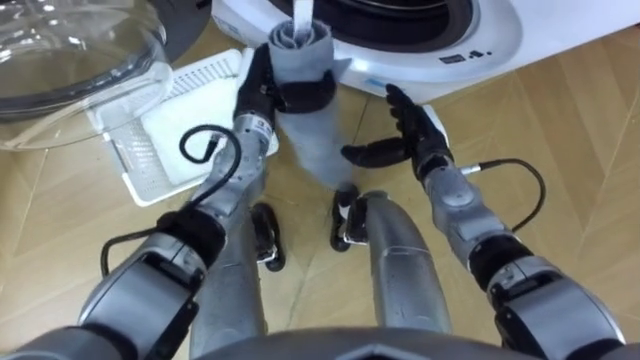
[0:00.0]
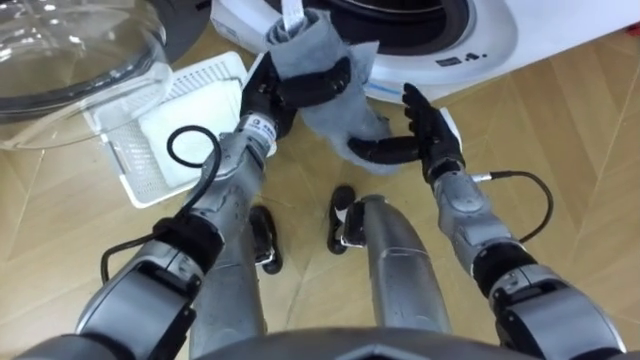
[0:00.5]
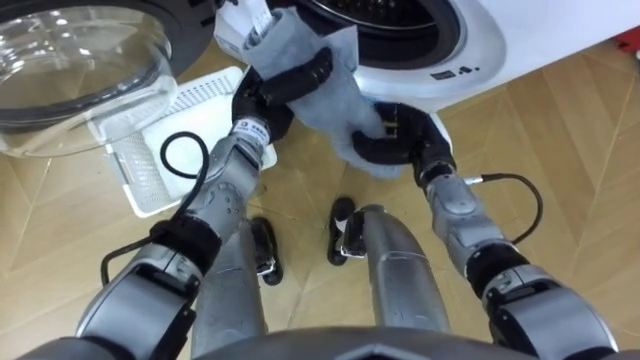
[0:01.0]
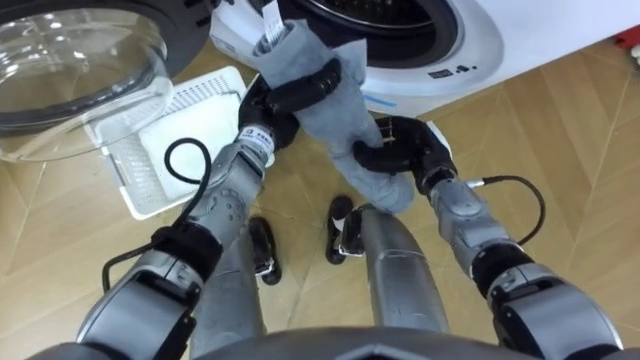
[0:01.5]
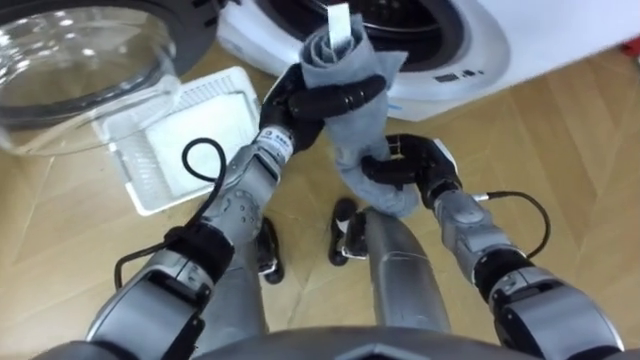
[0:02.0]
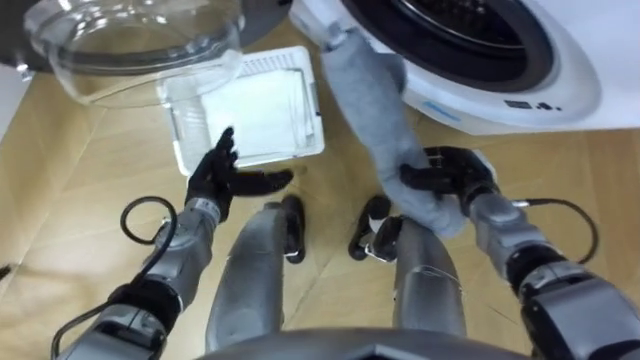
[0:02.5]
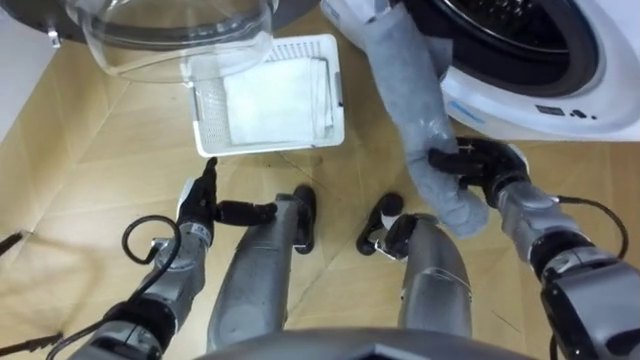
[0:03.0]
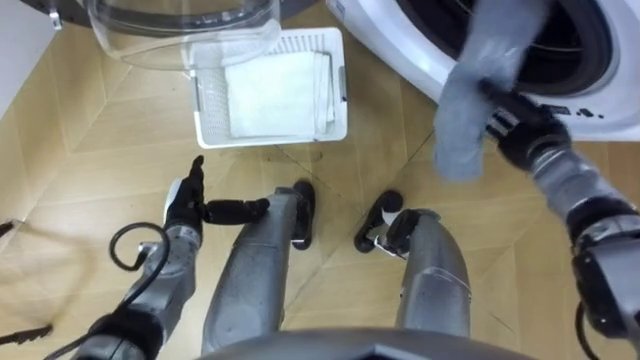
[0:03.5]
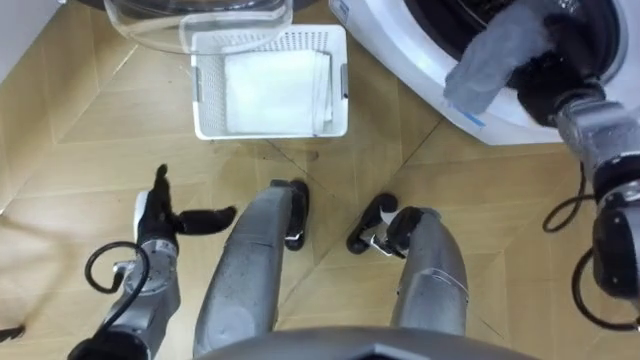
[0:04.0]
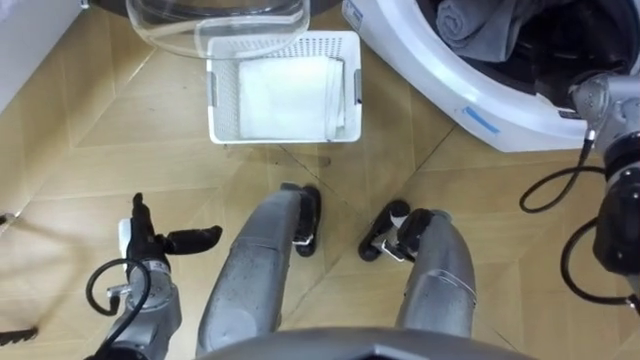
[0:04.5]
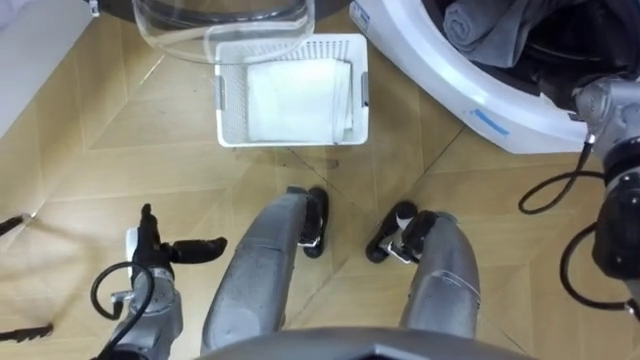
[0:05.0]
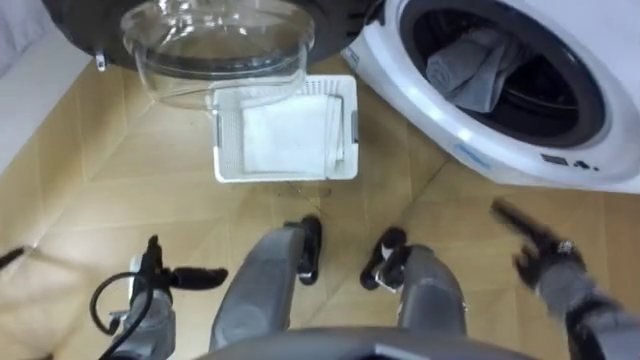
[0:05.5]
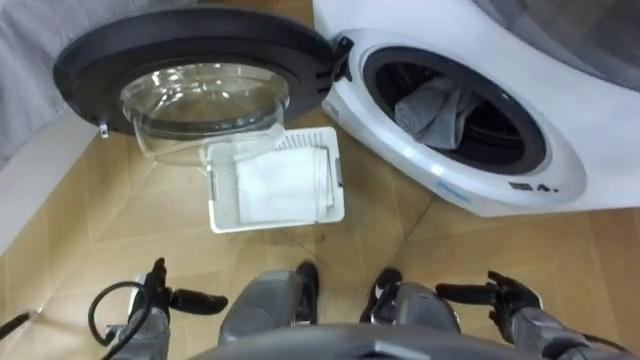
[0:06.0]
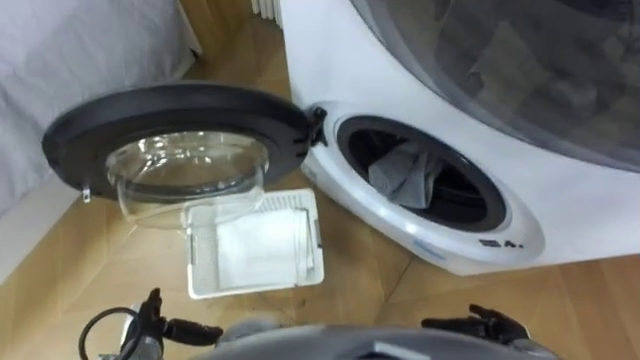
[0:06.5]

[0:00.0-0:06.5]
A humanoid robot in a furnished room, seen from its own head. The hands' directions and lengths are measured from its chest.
Task of the whole recording: Take the towel from the basket and put it into the washing machine.
0:00.0 to 0:02.0: The right hand moves about 5 cm, and closes its fingers; the left hand opens.
0:02.0 to 0:04.5: The right hand is displaced to the right, upward and forward by about 25 cm, and opens its fingers; the left hand goes some 30 cm to the left, backward and downward.
0:04.5 to 0:06.5: The right hand shifts roughly 40 cm backward and downward; the left hand is displaced backward and downward by approximately 15 cm.

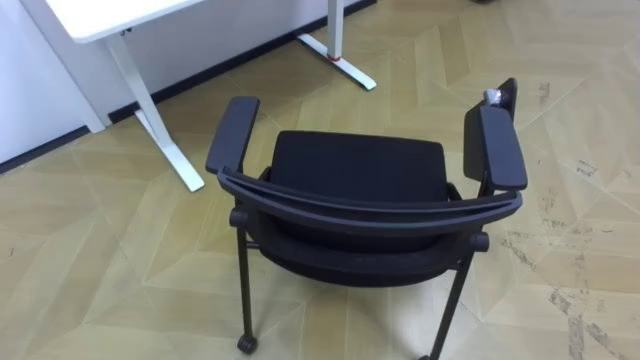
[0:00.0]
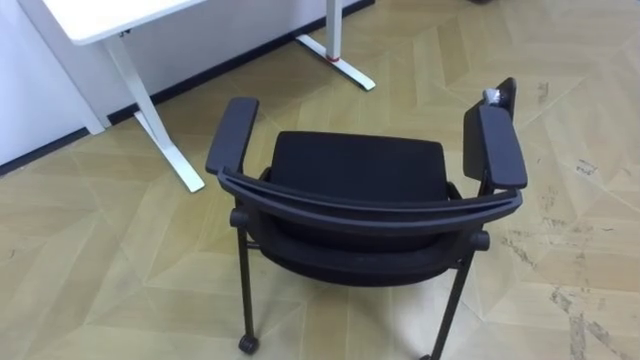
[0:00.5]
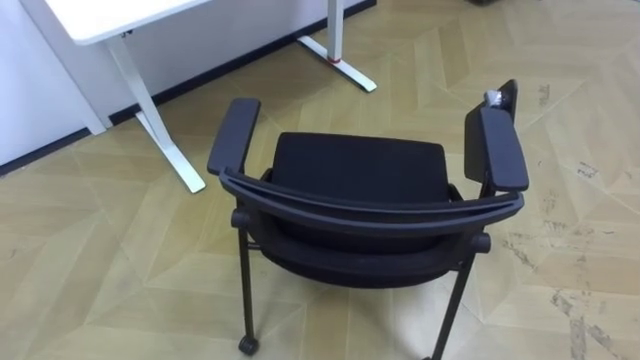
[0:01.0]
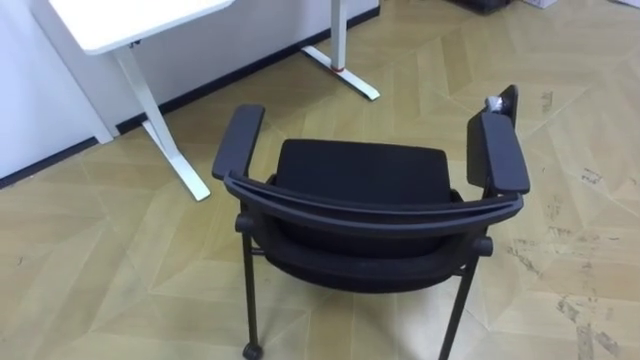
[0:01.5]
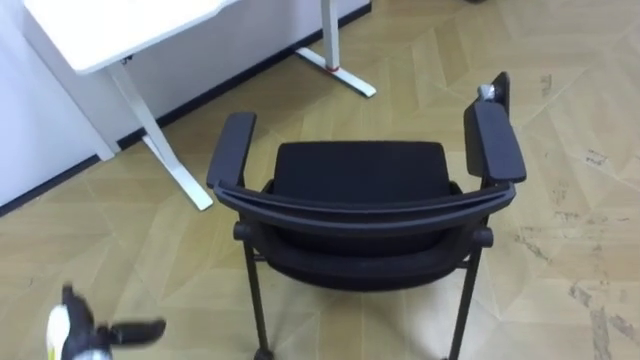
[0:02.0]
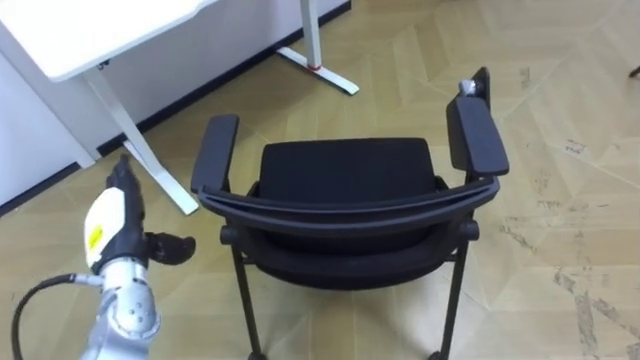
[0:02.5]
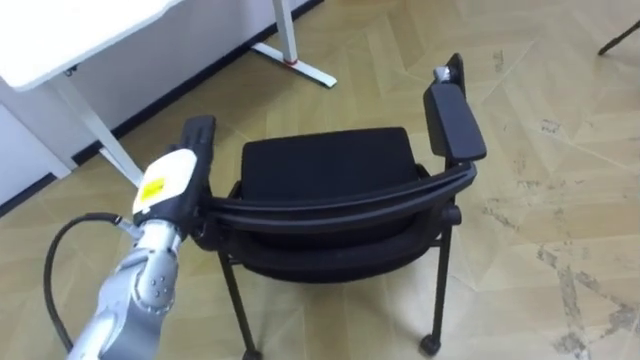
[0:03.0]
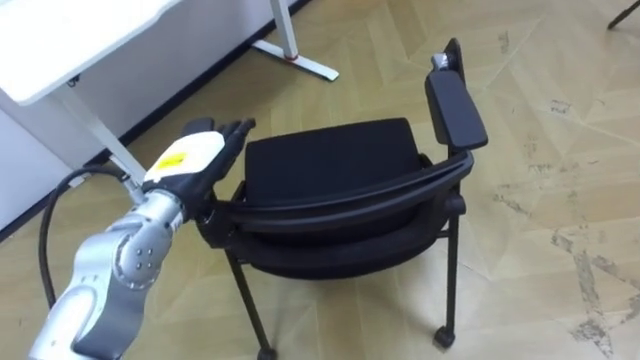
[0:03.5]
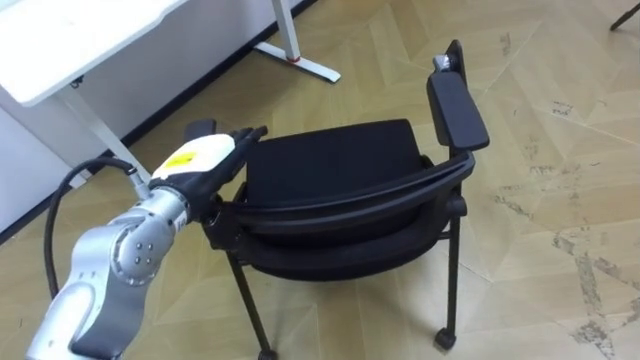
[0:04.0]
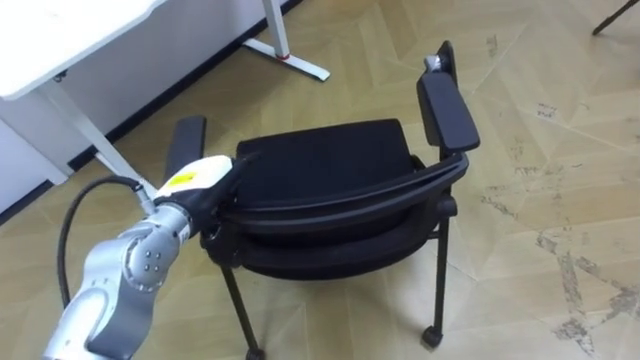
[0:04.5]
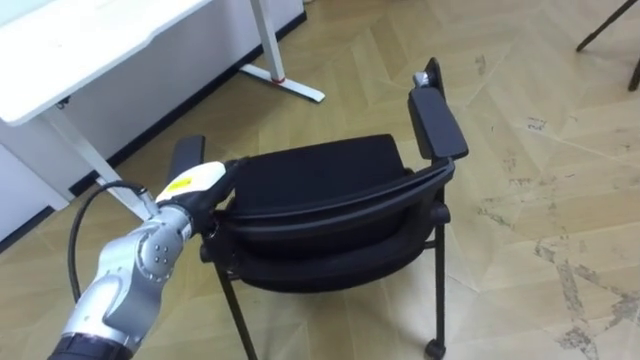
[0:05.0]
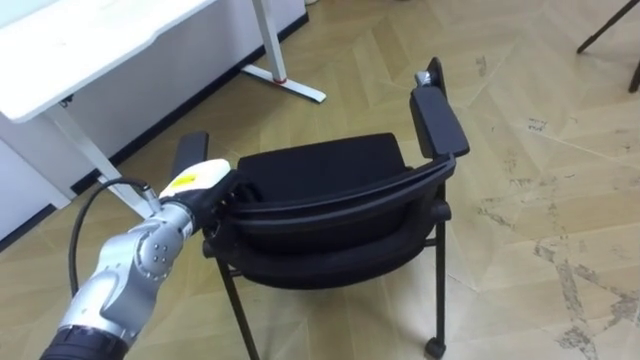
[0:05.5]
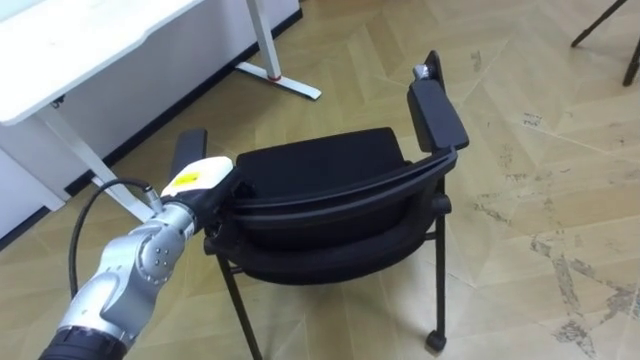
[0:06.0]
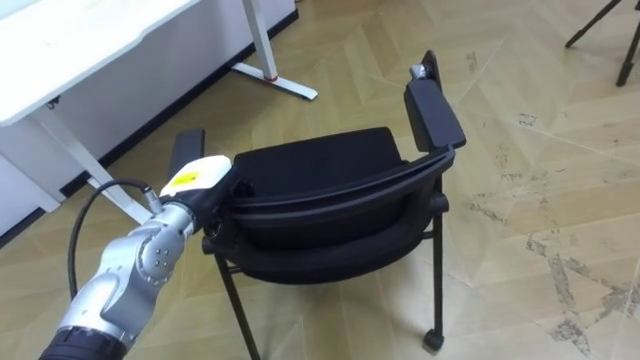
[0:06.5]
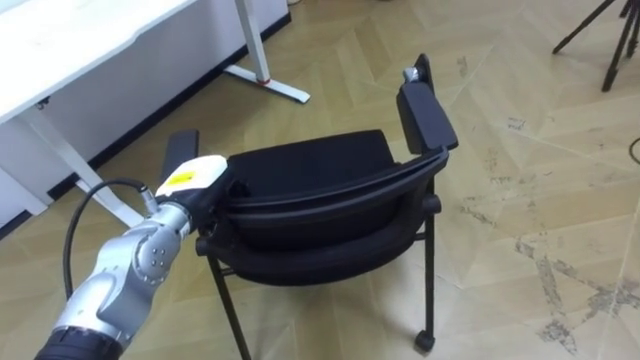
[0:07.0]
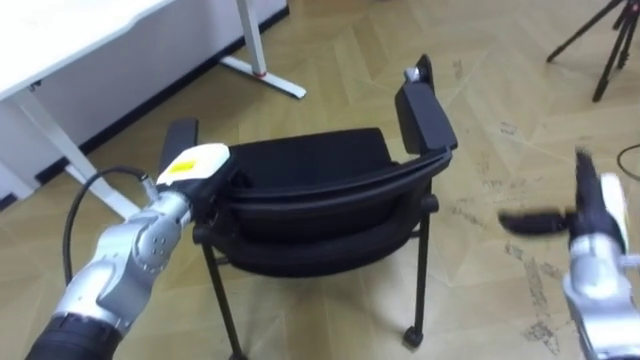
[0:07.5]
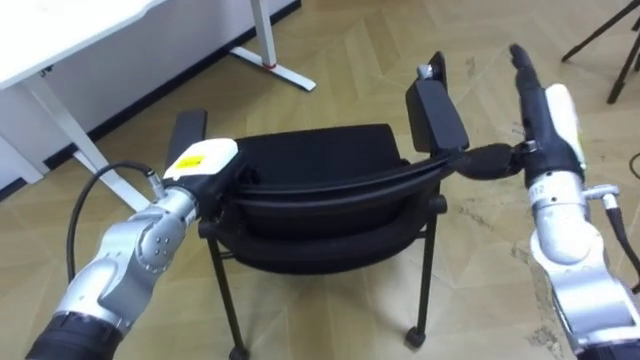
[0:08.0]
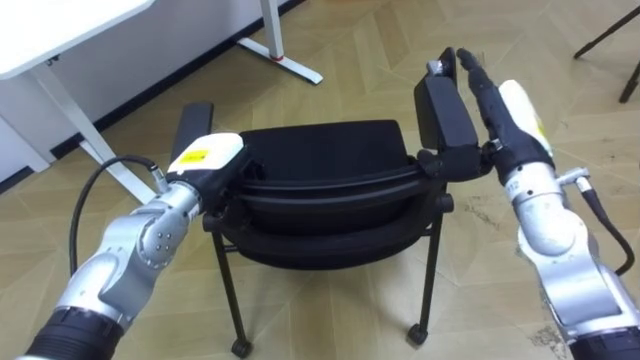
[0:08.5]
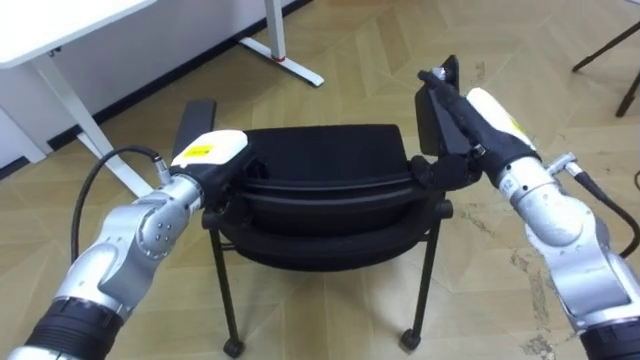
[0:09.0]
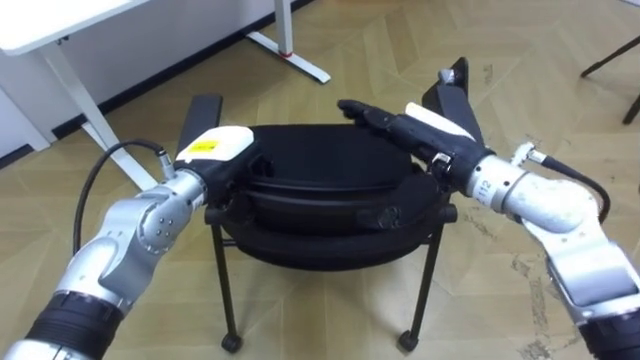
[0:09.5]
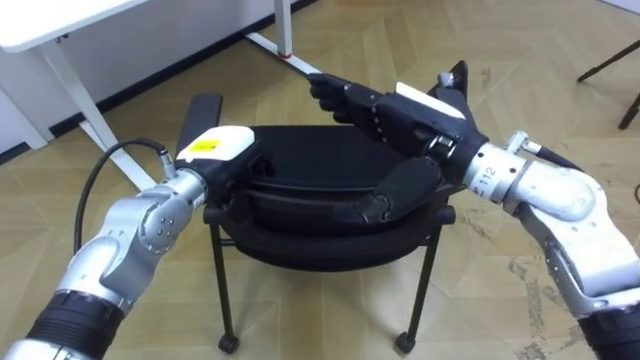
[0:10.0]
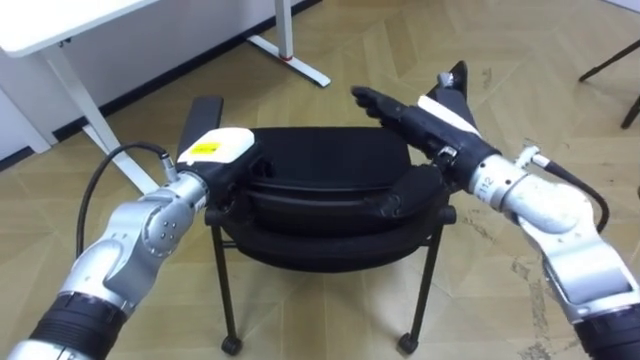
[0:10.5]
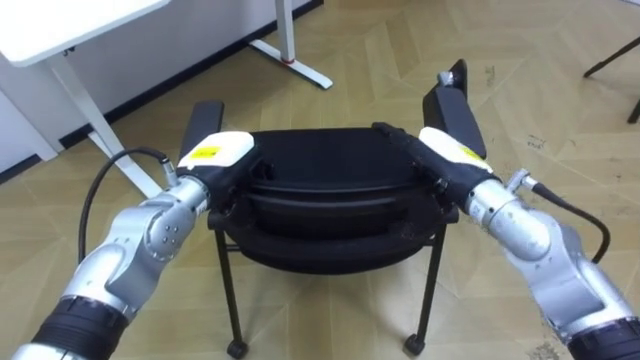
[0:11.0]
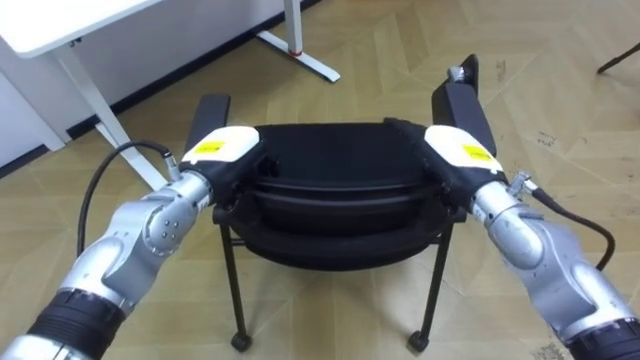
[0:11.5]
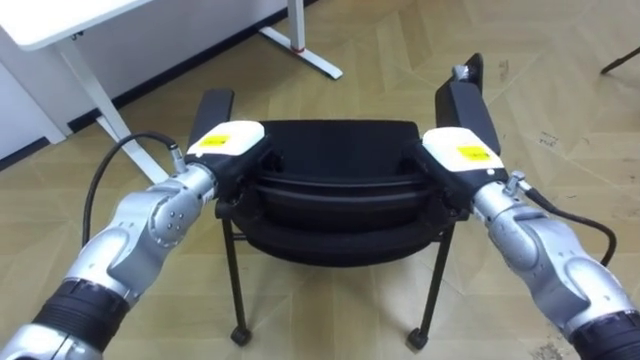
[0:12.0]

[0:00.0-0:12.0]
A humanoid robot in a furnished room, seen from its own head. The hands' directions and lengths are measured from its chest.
Task of the whole recording: Push the chair under the table.
0:02.0 to 0:04.0: The left hand is displaced upward, to the right and forward by about 30 cm.
0:04.0 to 0:06.0: The left hand shifts about 5 cm downward, and closes its fingers.
0:08.0 to 0:10.0: The right hand is displaced to the left by some 15 cm.
0:10.0 to 0:12.0: The right hand heads downward and to the right, covering some 10 cm, and closes up.

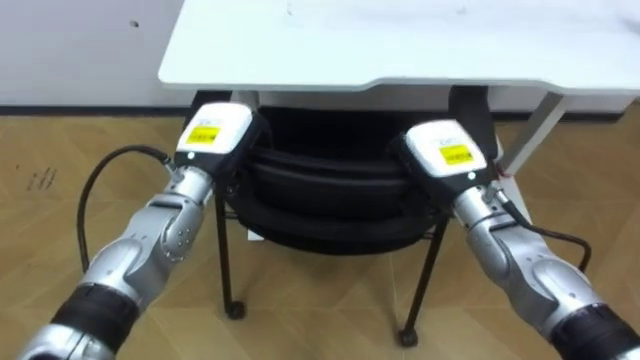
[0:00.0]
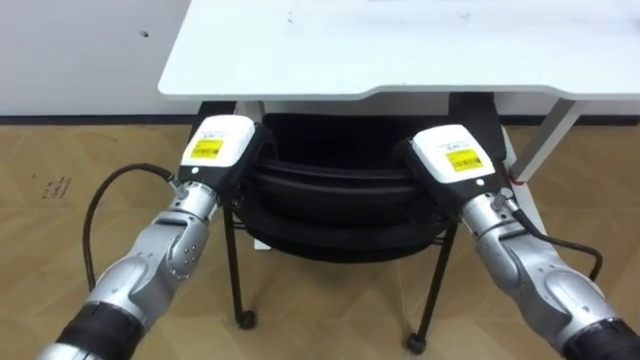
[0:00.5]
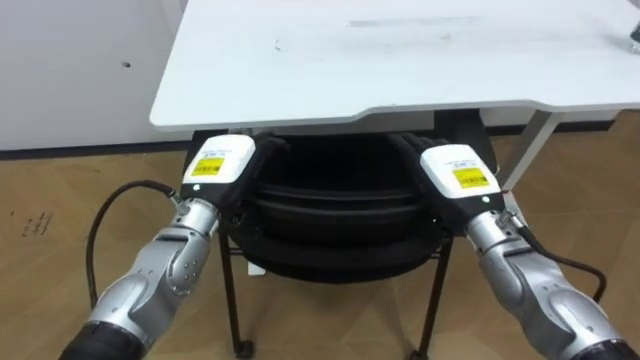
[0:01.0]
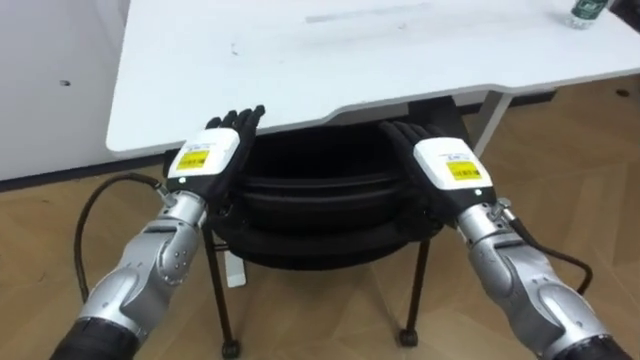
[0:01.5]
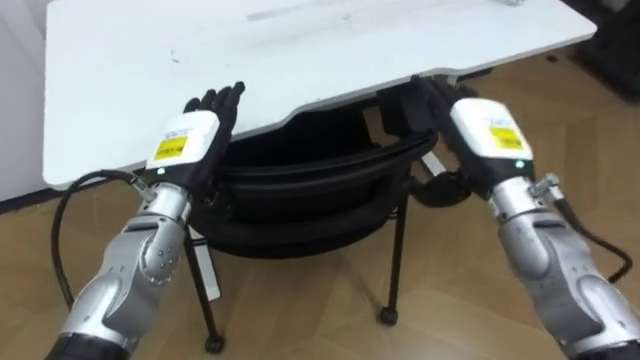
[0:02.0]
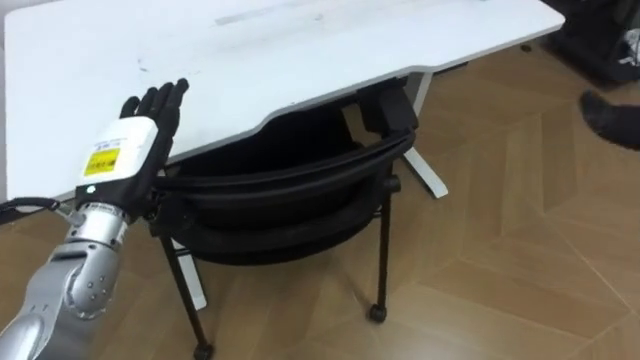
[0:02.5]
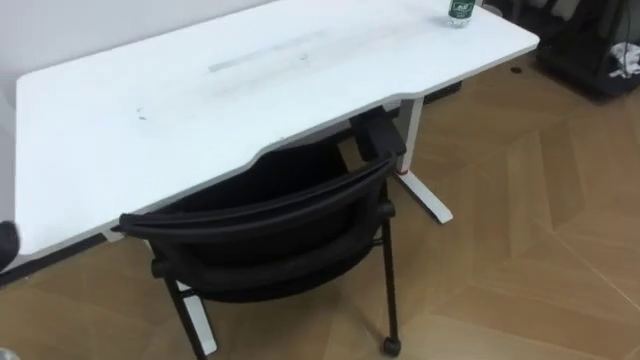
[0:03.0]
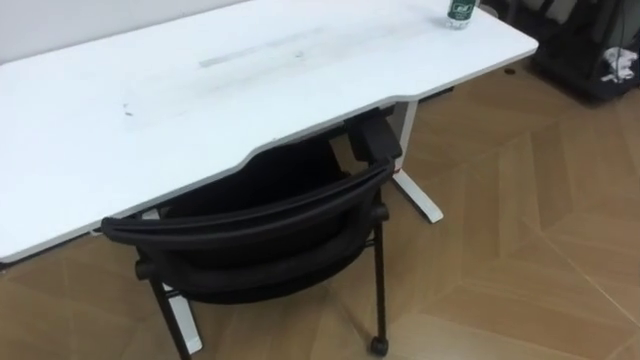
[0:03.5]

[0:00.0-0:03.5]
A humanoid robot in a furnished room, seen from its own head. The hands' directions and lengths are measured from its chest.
Task of the whole recording: Push the chair under the table.
0:00.0 to 0:02.0: The robot rotates about 25 degrees to its right. The left hand opens its fingers, while the right hand changes place by about 5 cm, and opens its fingers.
